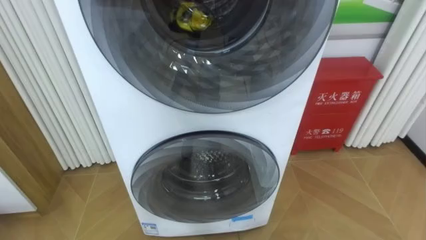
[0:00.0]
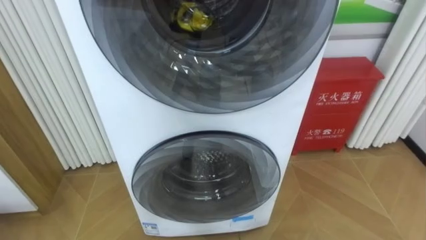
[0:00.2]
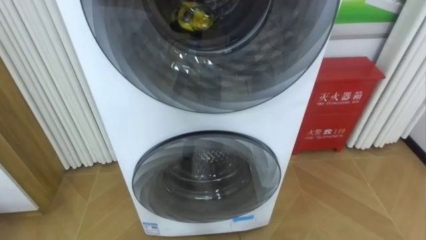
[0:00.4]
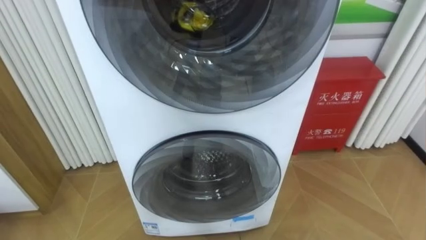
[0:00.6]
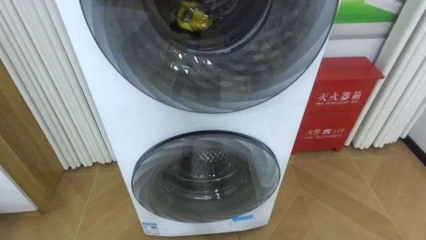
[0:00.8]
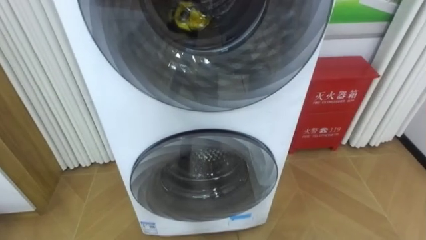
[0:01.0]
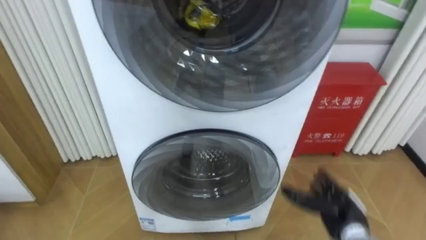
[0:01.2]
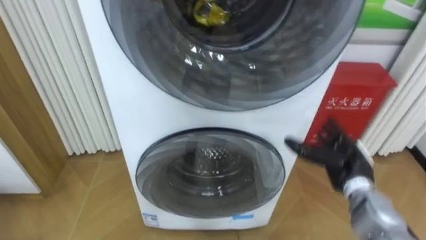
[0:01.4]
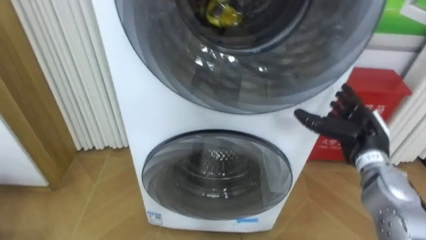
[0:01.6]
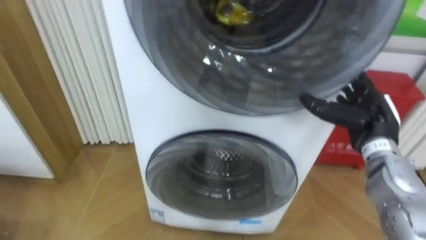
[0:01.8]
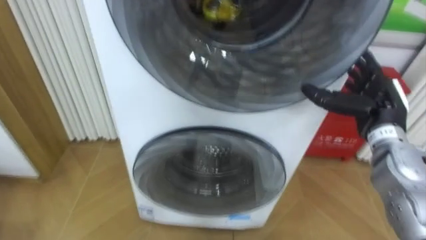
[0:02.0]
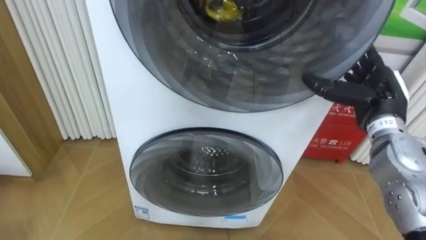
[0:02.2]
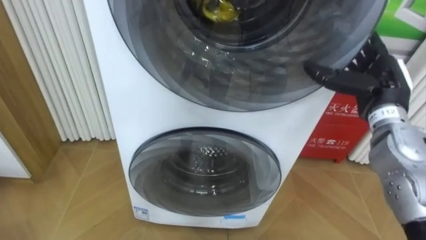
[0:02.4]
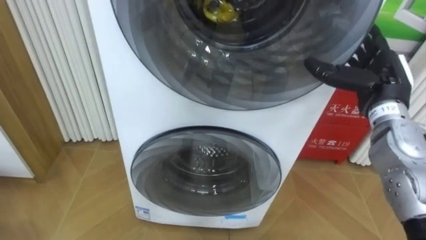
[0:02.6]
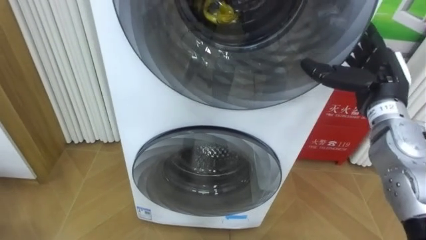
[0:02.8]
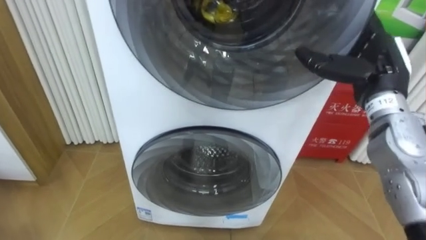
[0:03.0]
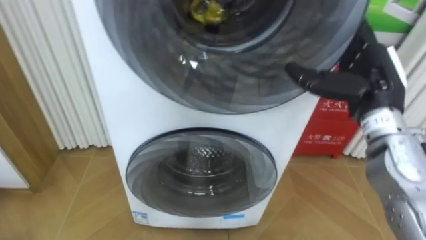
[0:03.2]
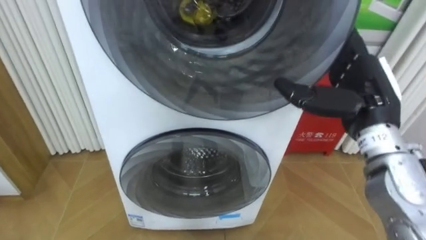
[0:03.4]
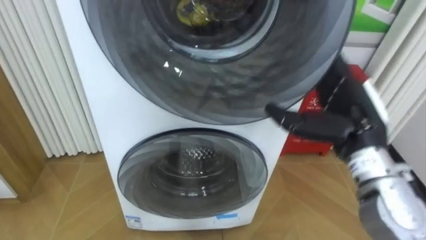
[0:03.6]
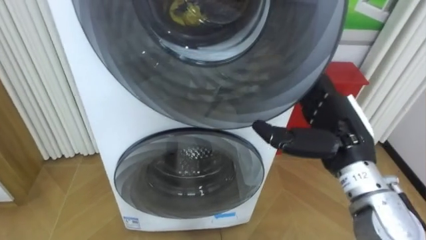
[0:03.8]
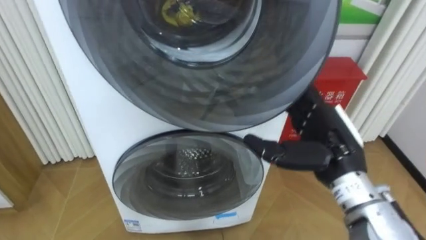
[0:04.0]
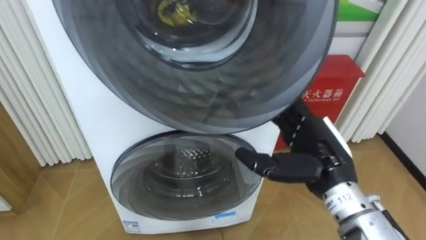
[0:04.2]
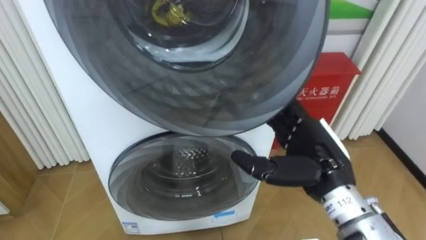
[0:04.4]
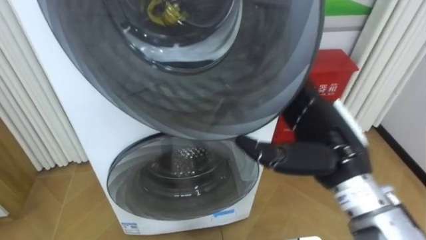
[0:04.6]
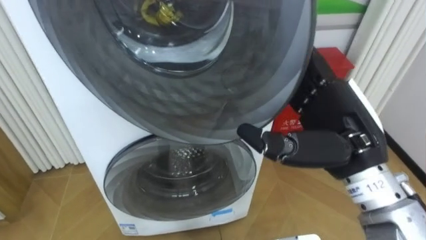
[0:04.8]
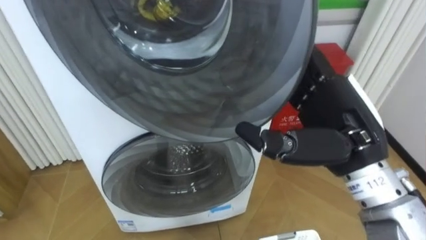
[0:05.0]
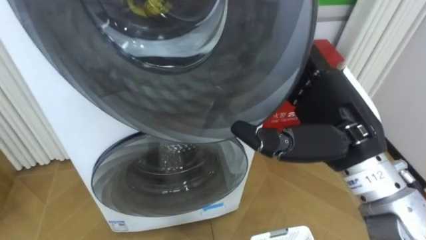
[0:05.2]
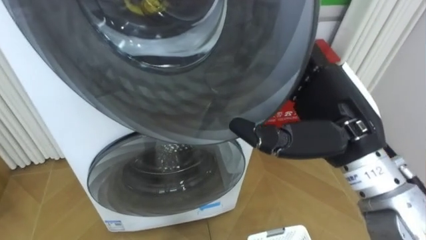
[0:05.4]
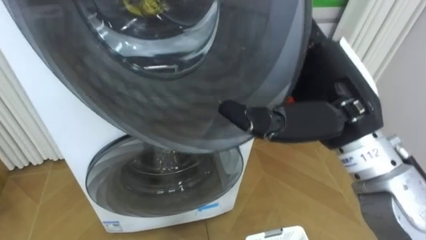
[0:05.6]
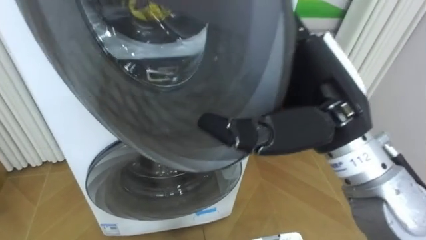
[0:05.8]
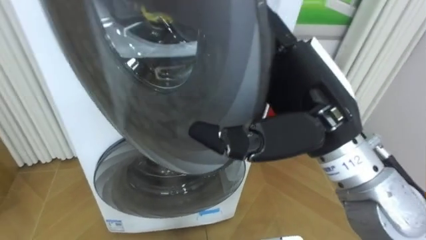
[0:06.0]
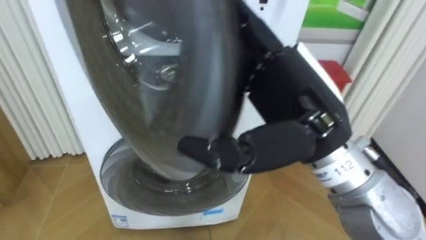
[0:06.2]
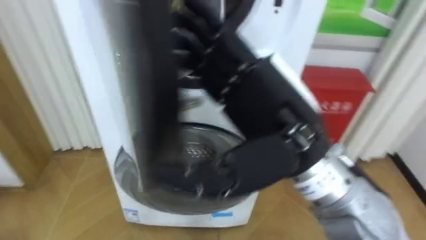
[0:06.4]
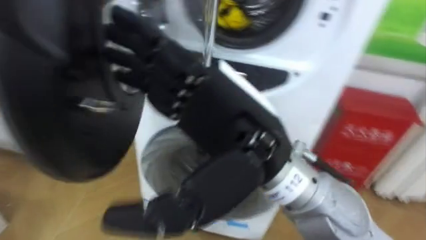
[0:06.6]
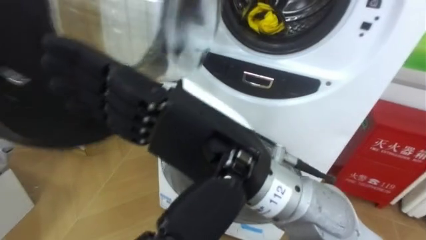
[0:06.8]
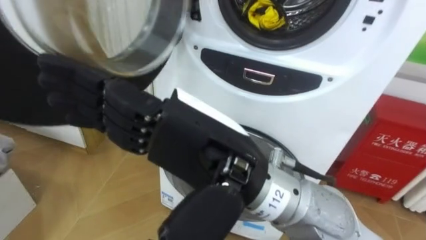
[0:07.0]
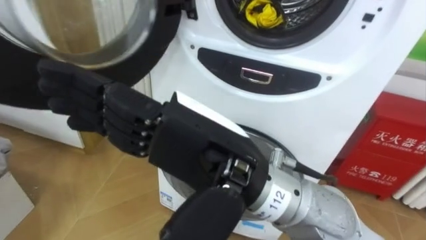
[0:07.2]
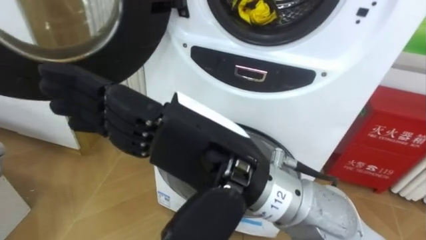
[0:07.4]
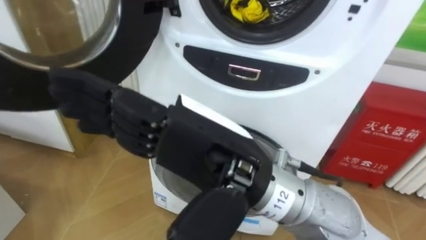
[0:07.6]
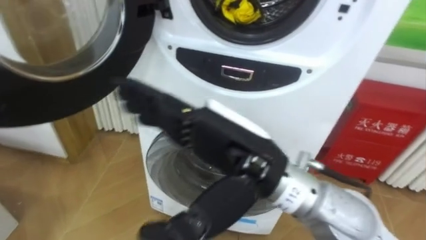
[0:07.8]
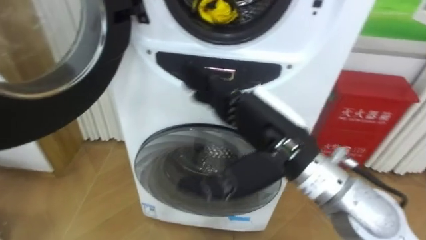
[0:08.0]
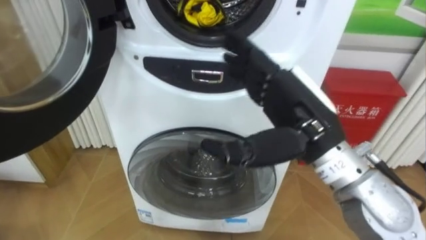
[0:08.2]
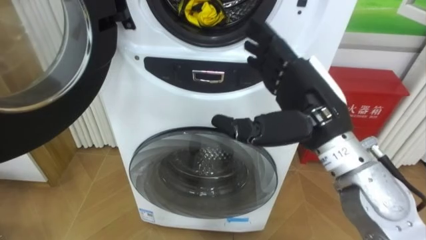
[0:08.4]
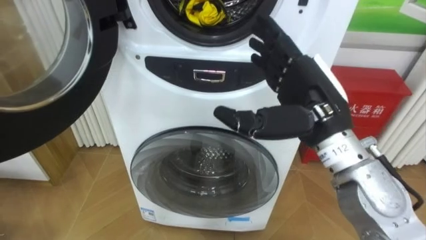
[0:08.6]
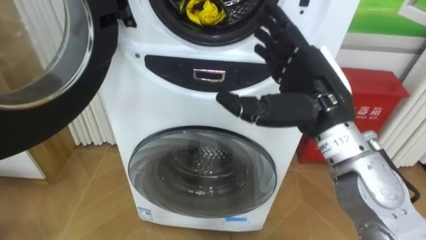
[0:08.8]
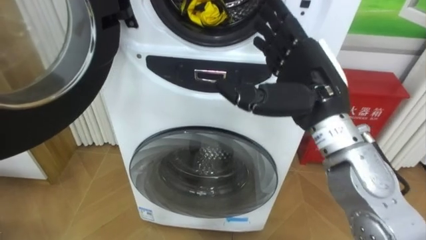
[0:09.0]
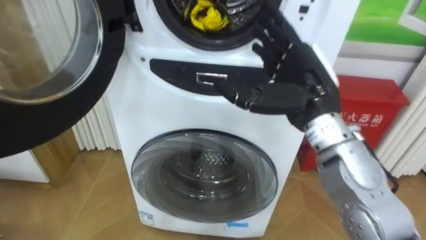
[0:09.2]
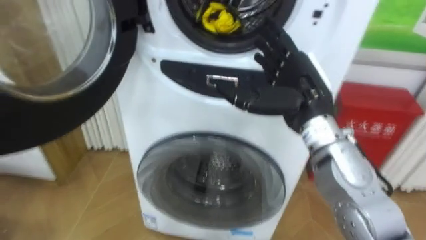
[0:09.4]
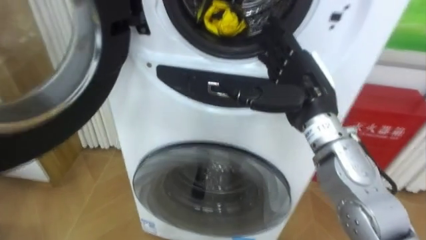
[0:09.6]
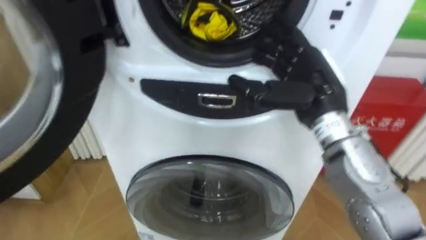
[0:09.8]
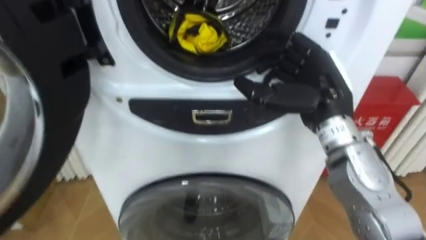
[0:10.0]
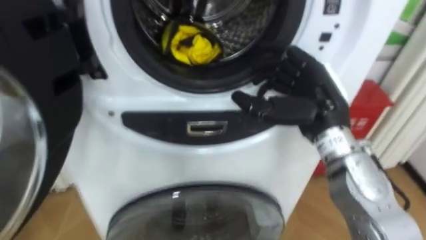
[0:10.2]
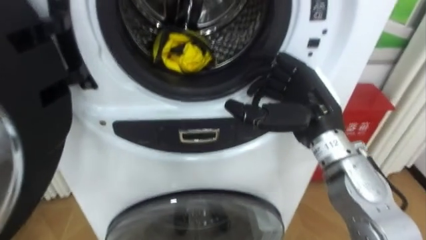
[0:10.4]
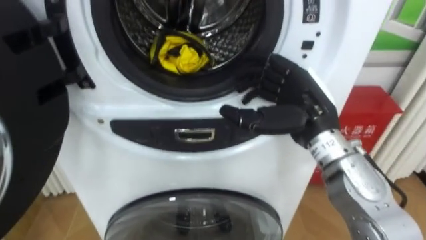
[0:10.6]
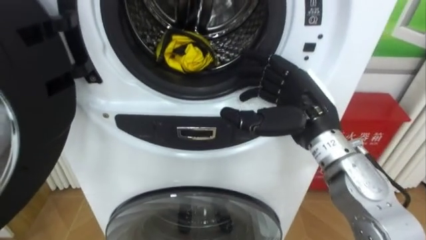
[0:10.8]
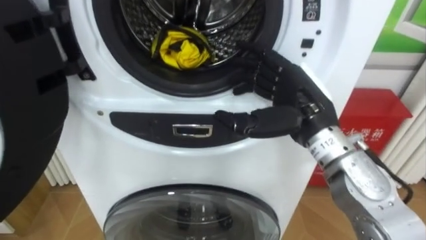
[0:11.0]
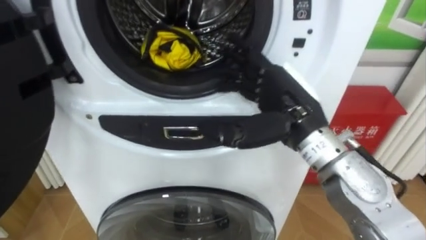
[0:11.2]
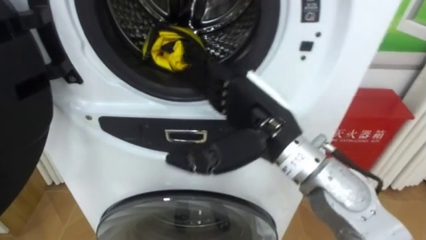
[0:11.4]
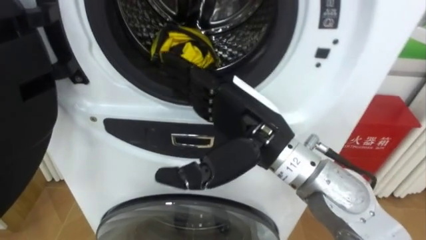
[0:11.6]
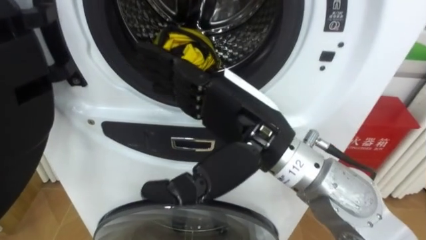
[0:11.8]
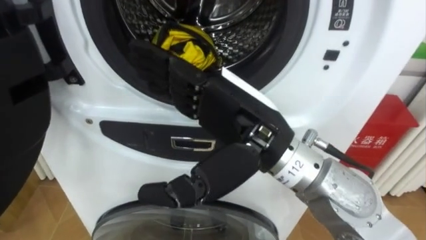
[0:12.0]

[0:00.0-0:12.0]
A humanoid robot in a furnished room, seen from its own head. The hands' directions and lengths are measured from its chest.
Task of the whole recording: Open the washing machine door, take out the yellow clothes, place them in the box on the right, and close the washing machine door.
0:01.6 to 0:03.0: The right hand shifts about 15 cm upward.
0:03.0 to 0:04.4: The right hand travels backward, to the left and downward by about 15 cm.
0:04.4 to 0:06.0: The right hand travels upward and to the left by roughly 15 cm.
0:06.0 to 0:07.6: The right hand moves to the left and backward, about 10 cm.
0:07.6 to 0:09.0: The right hand moves to the right and forward, about 20 cm.
0:09.0 to 0:10.4: The right hand shifts approximately 5 cm downward.
0:10.4 to 0:12.0: The right hand travels to the left, backward and upward by about 15 cm.

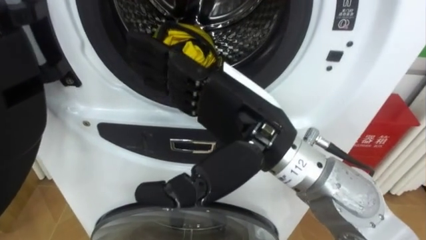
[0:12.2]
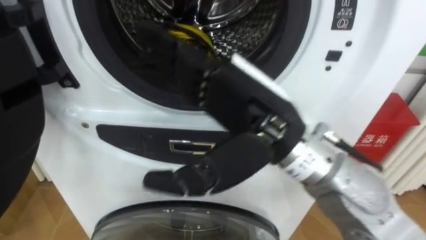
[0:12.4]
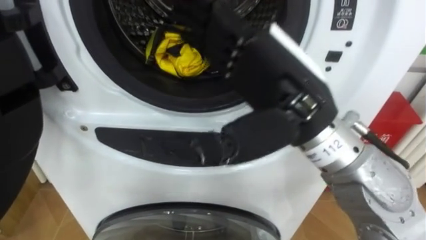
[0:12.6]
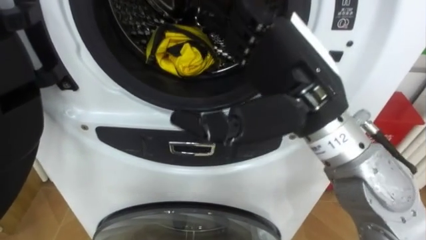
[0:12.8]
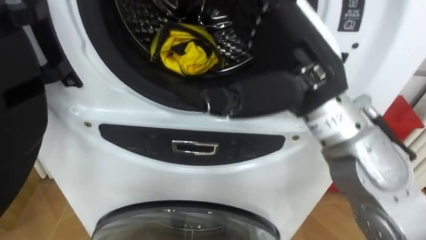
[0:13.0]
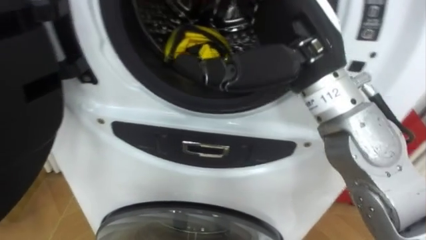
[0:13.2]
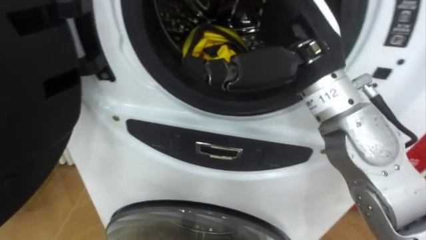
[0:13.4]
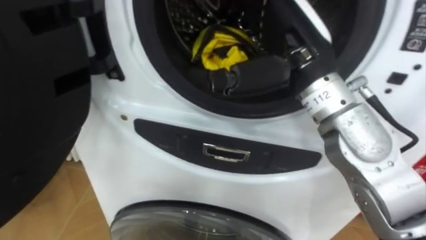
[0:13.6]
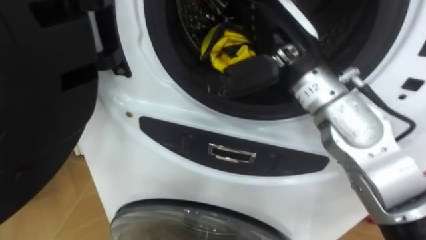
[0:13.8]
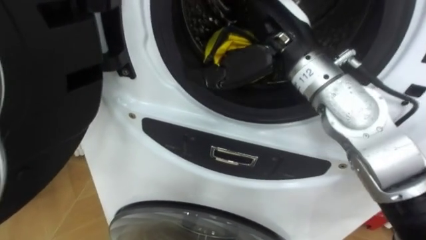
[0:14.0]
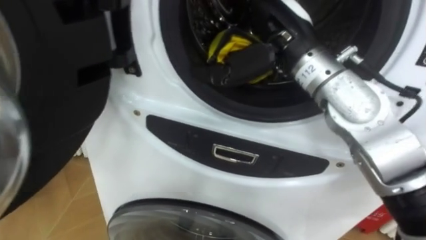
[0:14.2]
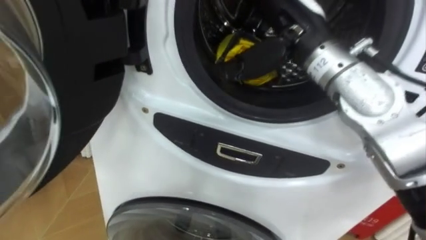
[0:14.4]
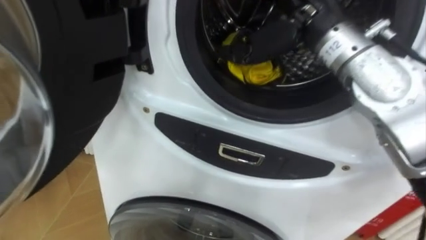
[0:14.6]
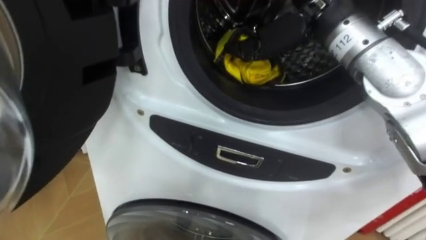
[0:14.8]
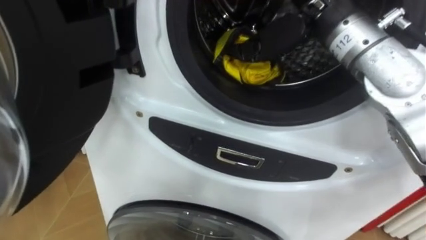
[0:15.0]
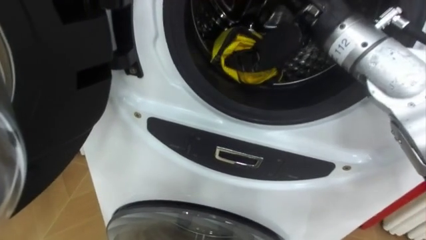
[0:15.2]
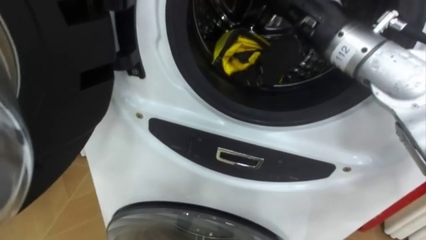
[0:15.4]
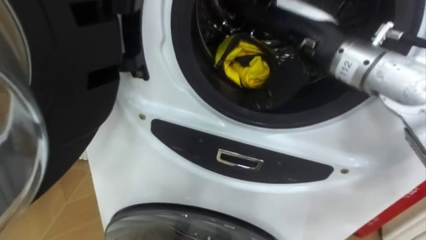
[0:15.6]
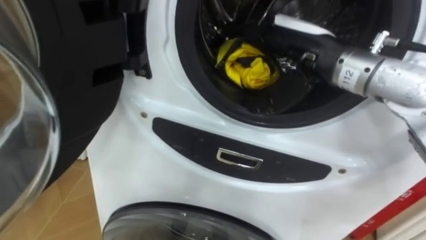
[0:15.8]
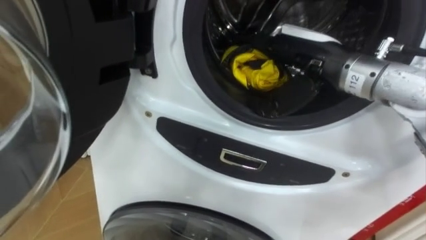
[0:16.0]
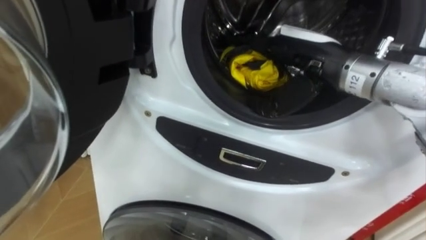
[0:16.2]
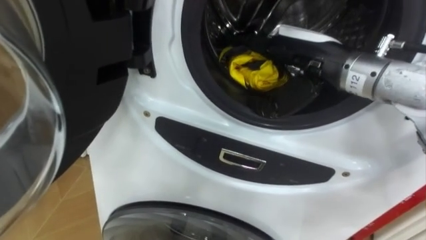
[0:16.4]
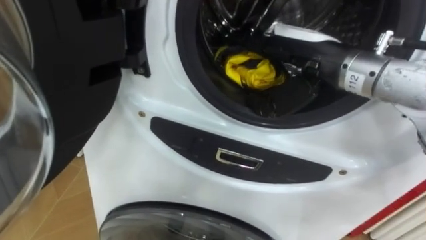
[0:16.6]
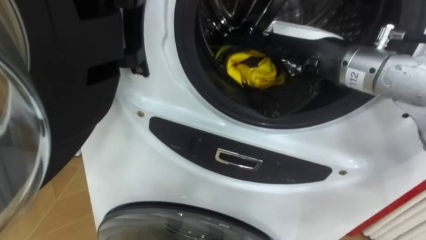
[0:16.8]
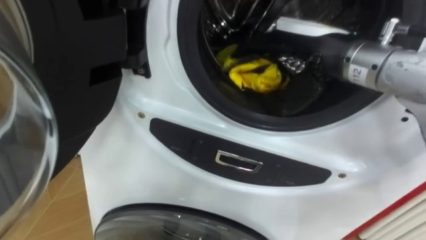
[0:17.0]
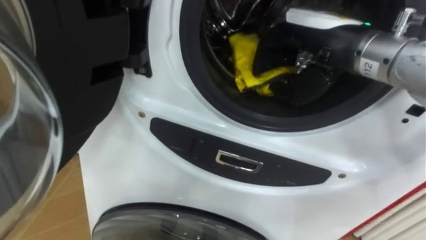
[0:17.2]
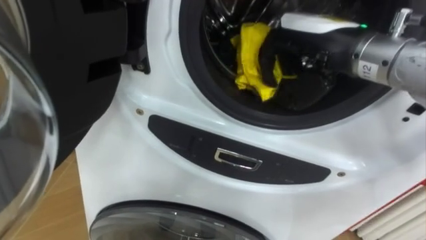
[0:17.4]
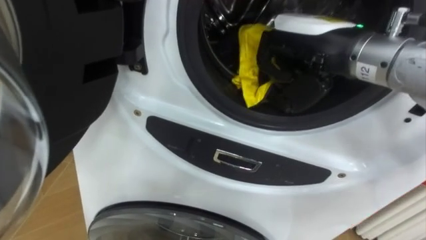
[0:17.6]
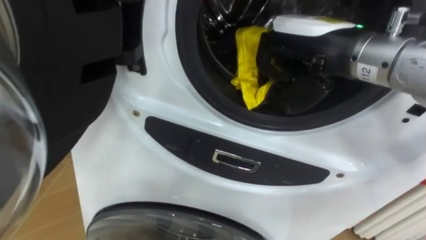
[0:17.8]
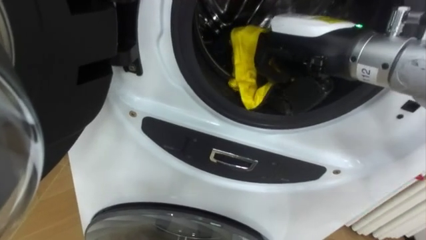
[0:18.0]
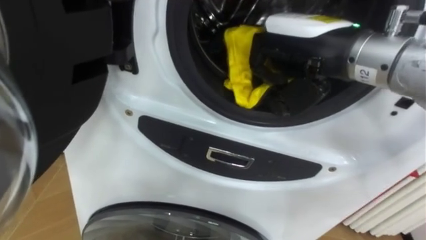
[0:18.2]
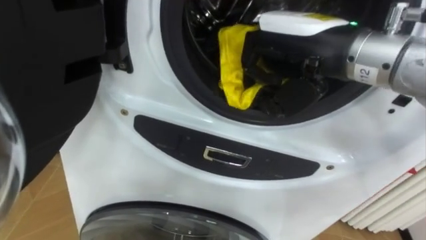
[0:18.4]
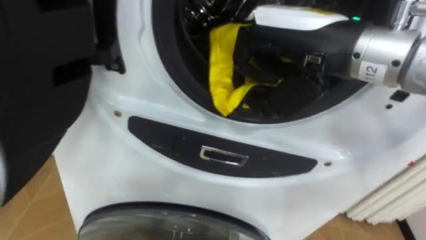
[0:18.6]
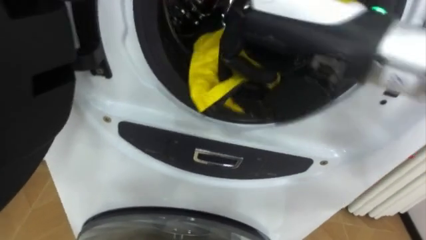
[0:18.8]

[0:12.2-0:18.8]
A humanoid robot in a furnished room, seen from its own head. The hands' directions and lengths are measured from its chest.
Task of the whole recording: Open the washing machine door, take out the yellow clothes, place them in the box on the right, and close the washing machine door.
0:12.2 to 0:13.8: The right hand shifts about 10 cm forward.
0:15.4 to 0:17.2: The right hand closes up.
0:17.2 to 0:18.8: The right hand shifts about 10 cm backward and upward.
